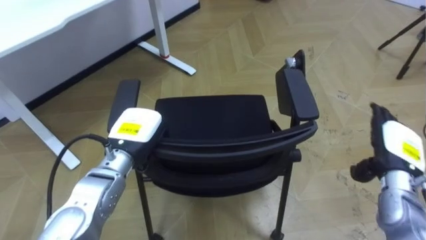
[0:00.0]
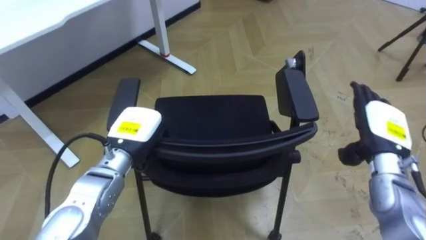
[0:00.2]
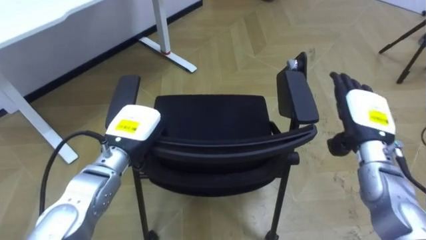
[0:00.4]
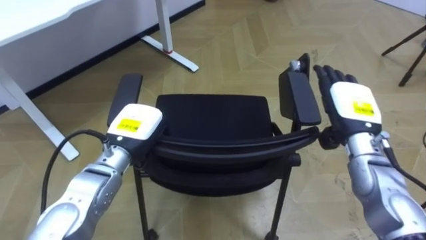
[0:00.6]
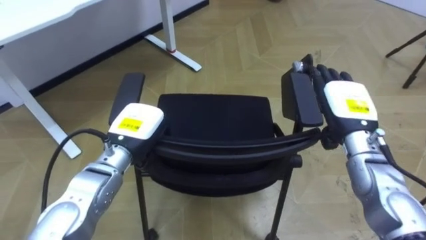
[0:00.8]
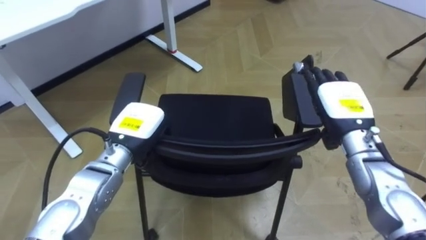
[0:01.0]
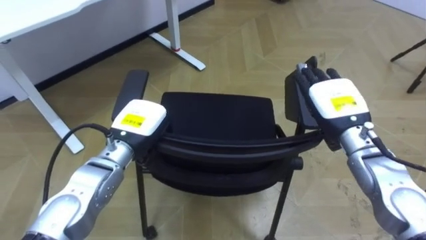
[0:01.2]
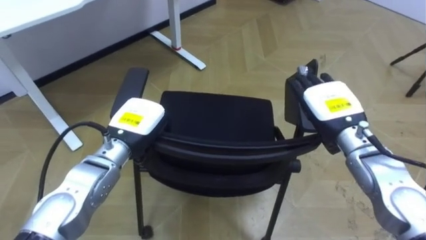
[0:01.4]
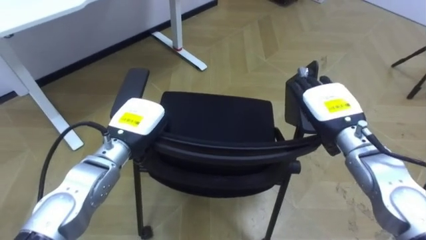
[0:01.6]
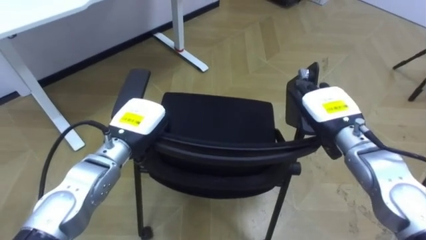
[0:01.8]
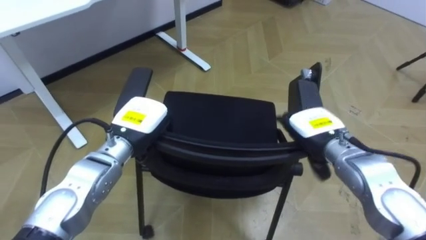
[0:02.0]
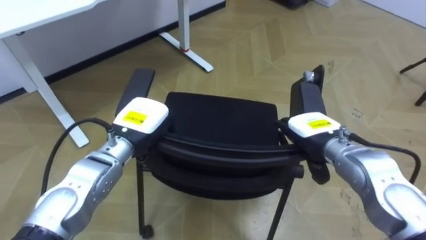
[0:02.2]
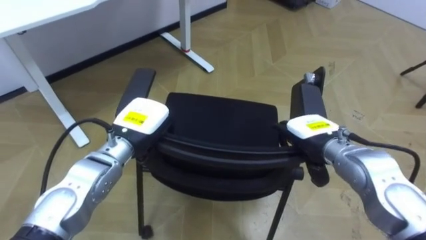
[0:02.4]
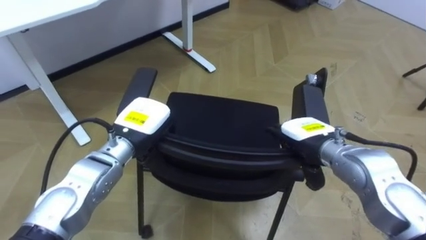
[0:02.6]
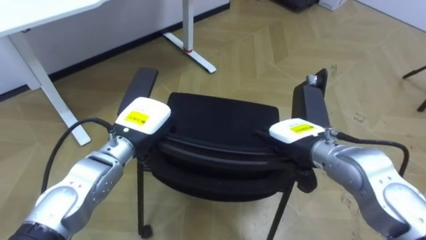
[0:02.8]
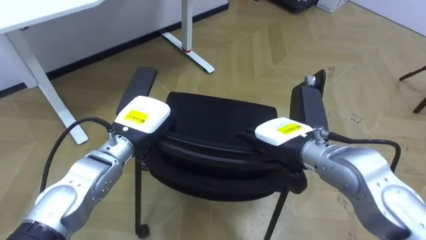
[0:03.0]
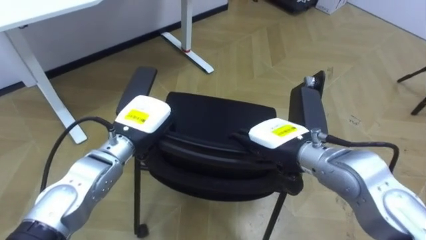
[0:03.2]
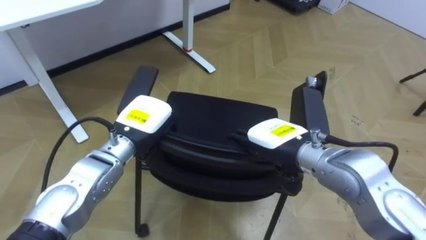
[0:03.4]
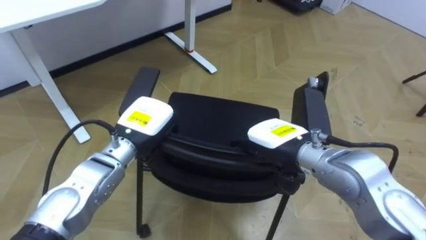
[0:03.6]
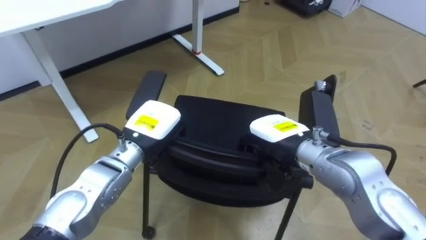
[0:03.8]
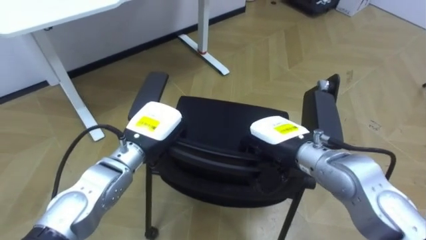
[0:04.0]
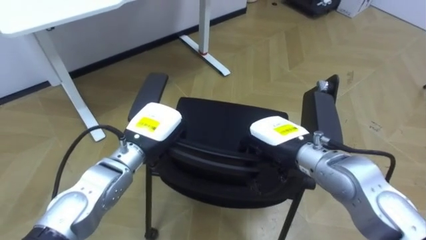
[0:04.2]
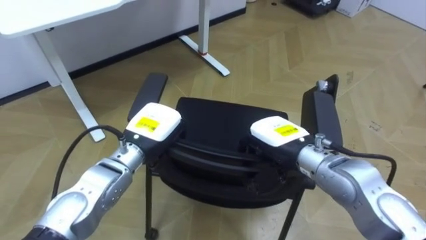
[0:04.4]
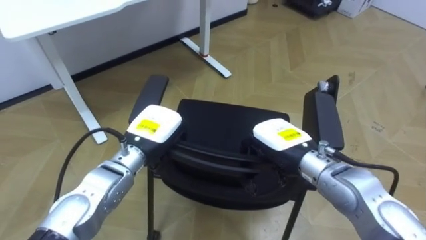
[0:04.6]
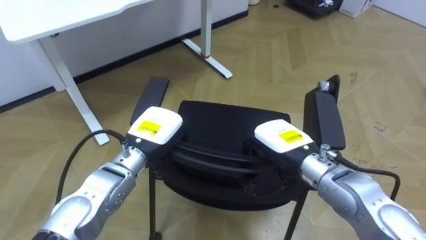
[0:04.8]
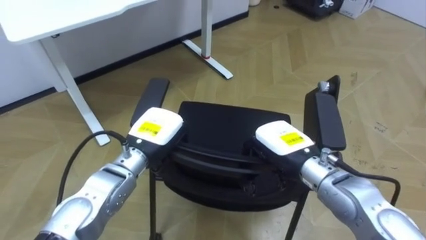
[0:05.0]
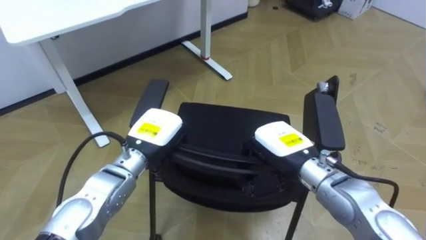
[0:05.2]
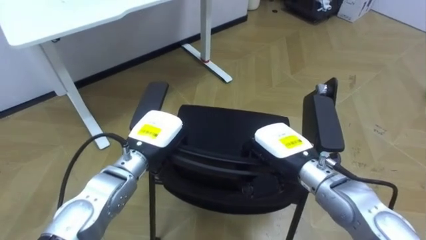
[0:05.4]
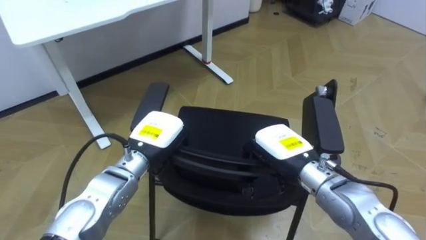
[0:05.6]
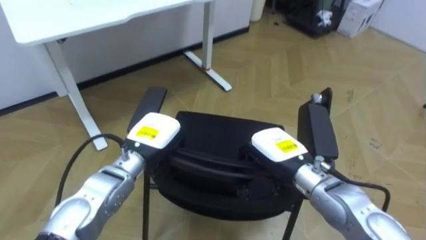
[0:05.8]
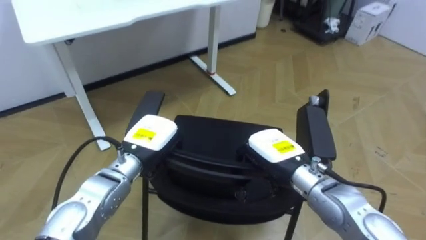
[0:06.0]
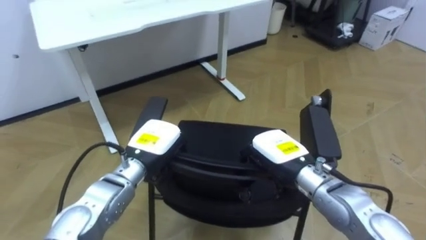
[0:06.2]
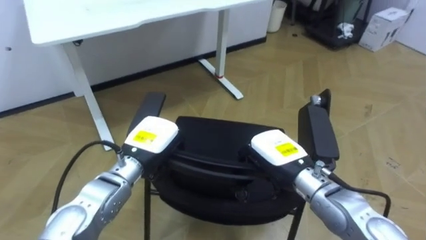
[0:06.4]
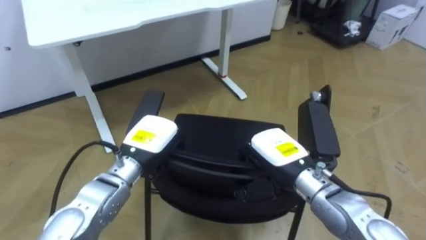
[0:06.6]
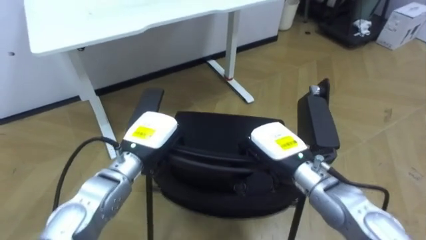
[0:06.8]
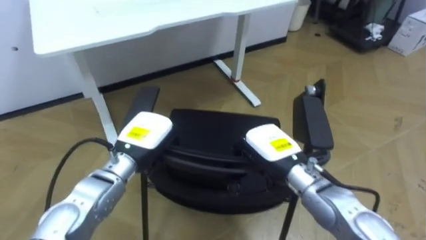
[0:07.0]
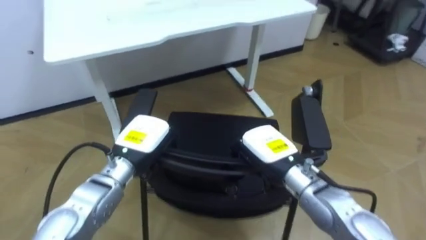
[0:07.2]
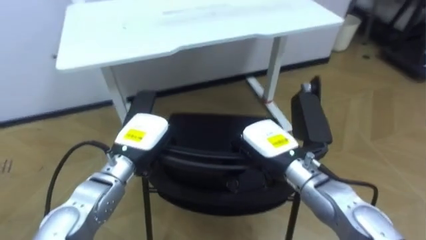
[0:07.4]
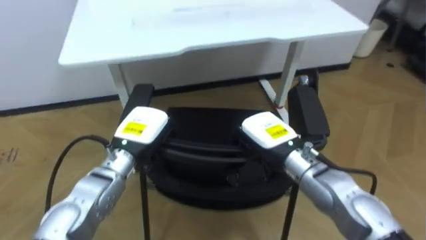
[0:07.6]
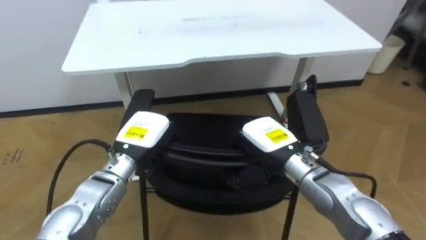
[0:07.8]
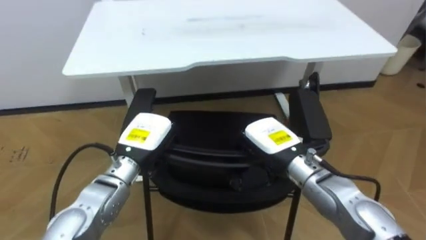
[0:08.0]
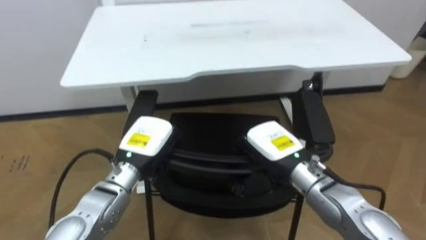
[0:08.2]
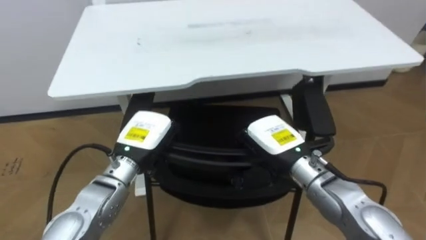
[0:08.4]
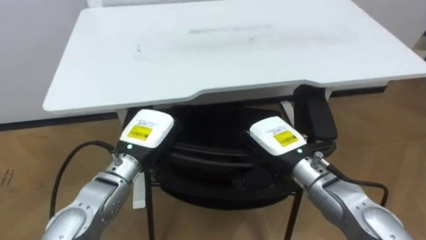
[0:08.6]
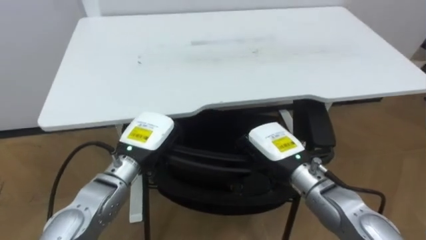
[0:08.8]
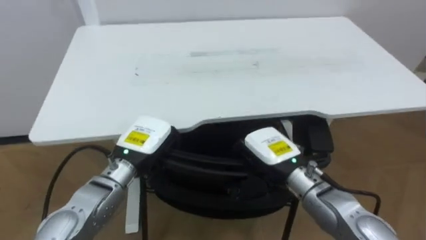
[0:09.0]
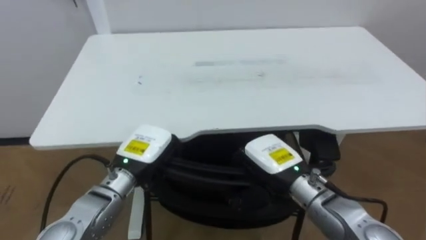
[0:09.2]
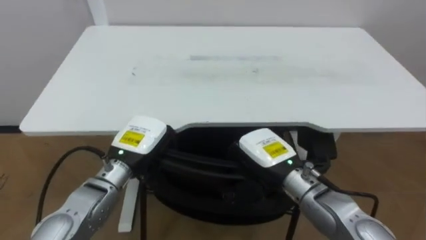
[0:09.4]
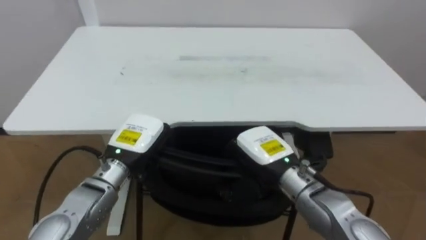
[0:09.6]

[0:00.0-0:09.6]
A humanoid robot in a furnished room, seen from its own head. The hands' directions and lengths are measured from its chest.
Task of the whole recording: Push the chair under the table.
0:00.0 to 0:01.6: The right hand moves to the left, upward and forward, roughly 15 cm.
0:01.6 to 0:03.2: The right hand goes approximately 10 cm to the left and backward.
0:03.2 to 0:04.8: The right hand closes.
0:06.4 to 0:08.0: The robot rotates roughly 25 degrees to its left.

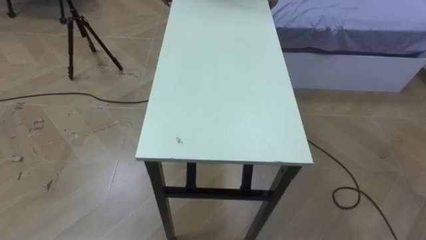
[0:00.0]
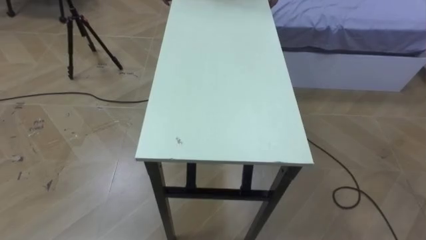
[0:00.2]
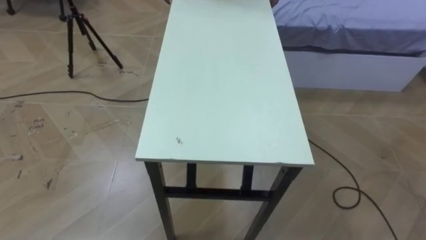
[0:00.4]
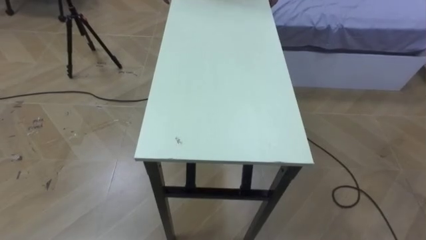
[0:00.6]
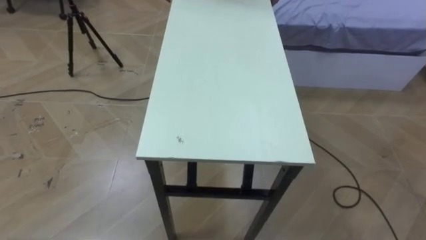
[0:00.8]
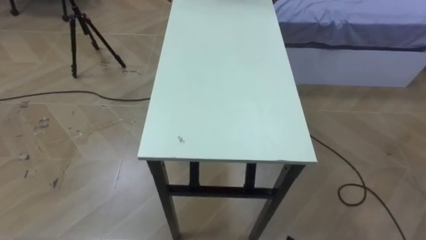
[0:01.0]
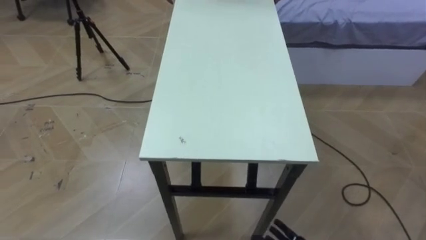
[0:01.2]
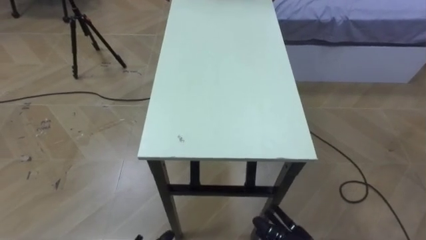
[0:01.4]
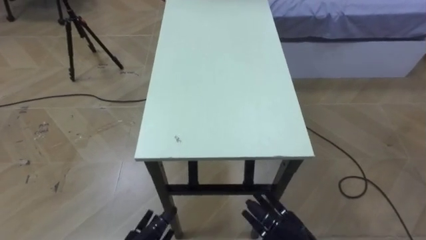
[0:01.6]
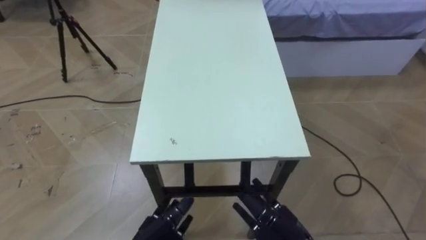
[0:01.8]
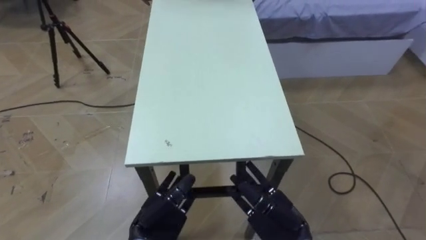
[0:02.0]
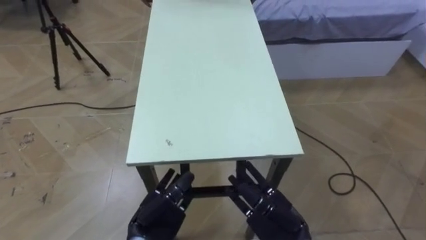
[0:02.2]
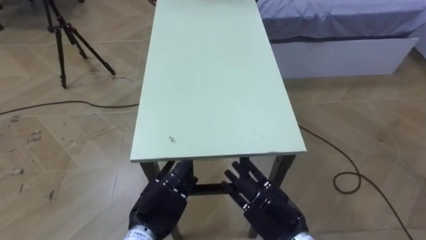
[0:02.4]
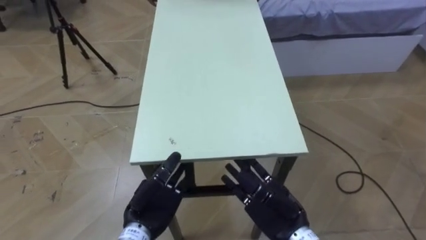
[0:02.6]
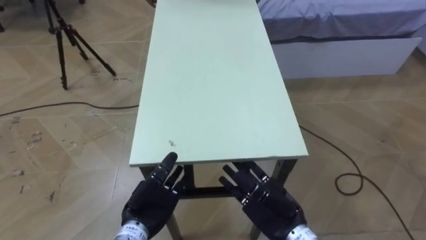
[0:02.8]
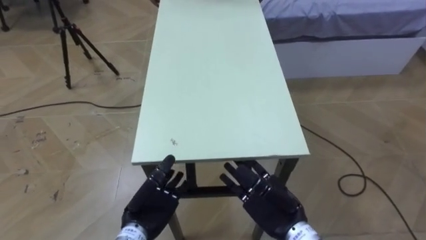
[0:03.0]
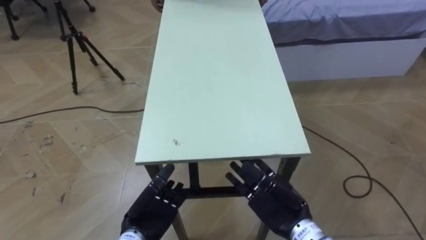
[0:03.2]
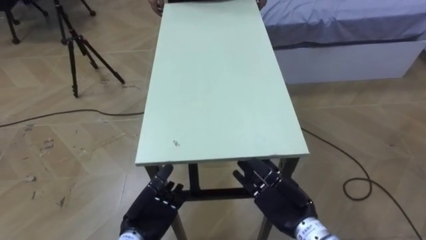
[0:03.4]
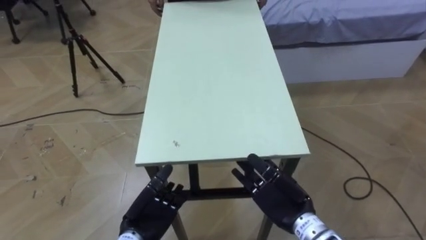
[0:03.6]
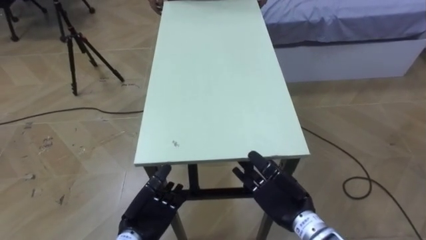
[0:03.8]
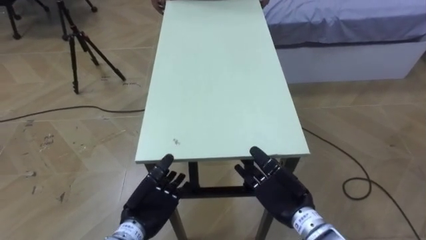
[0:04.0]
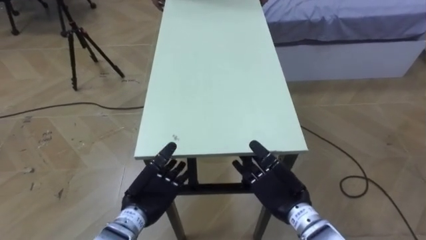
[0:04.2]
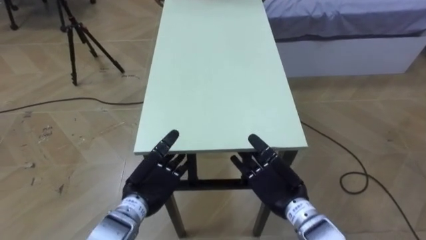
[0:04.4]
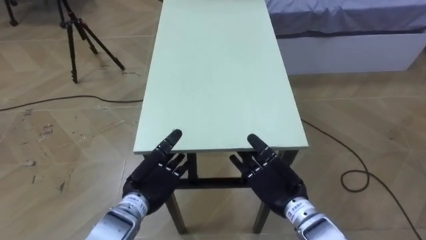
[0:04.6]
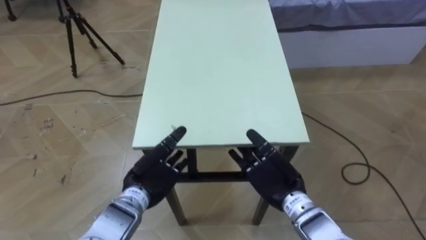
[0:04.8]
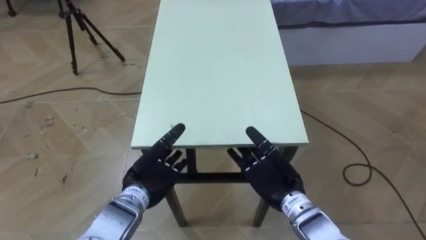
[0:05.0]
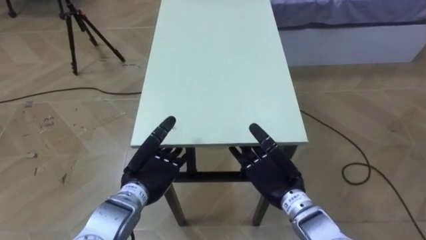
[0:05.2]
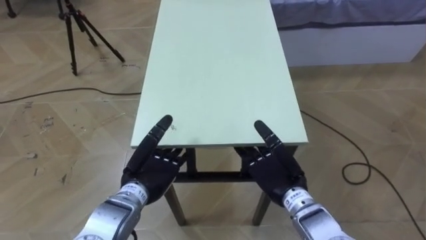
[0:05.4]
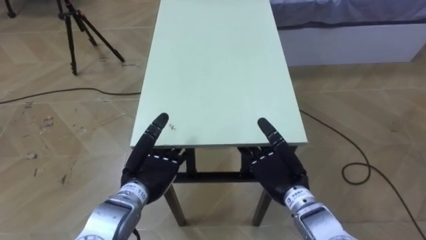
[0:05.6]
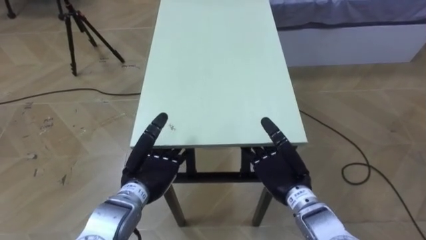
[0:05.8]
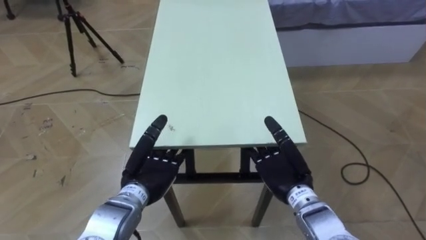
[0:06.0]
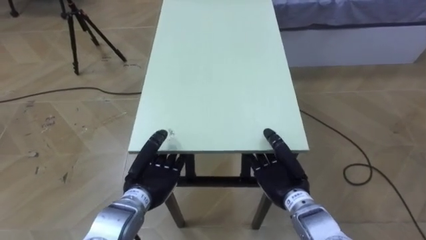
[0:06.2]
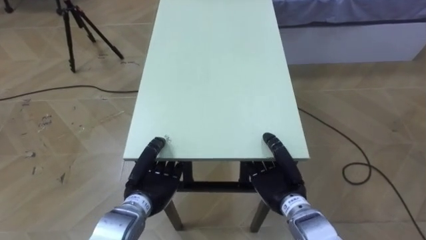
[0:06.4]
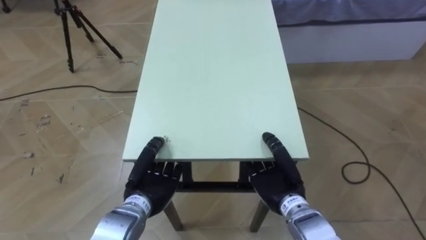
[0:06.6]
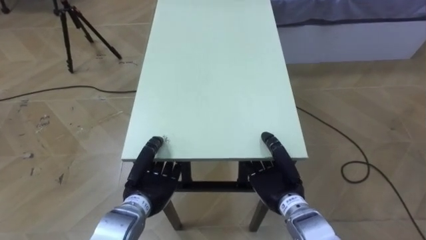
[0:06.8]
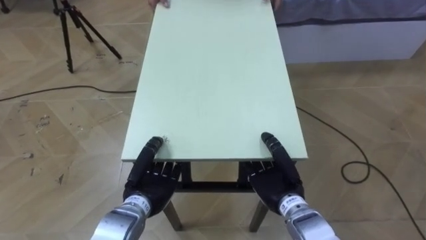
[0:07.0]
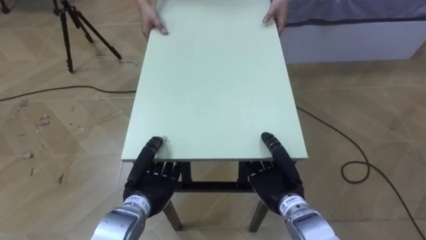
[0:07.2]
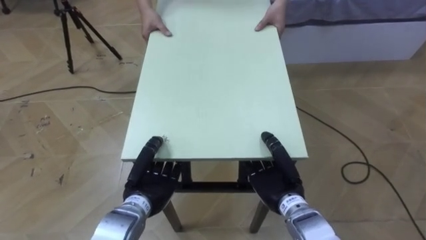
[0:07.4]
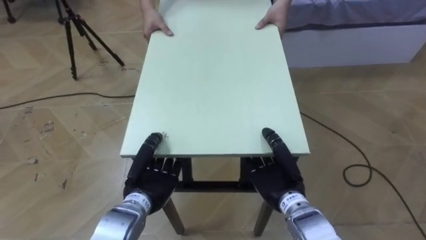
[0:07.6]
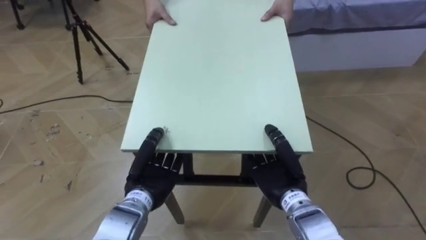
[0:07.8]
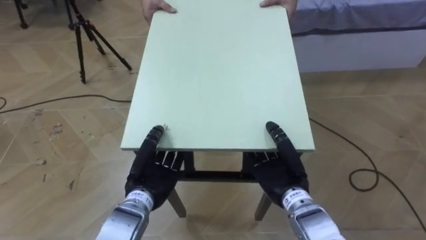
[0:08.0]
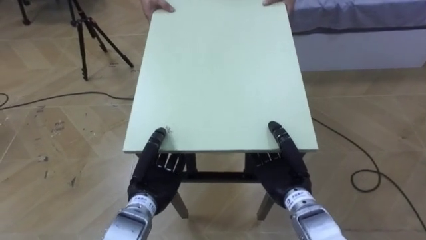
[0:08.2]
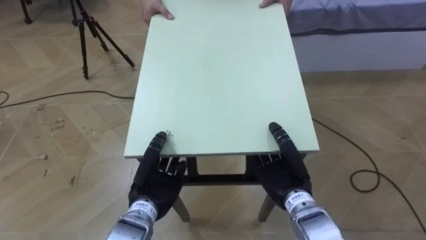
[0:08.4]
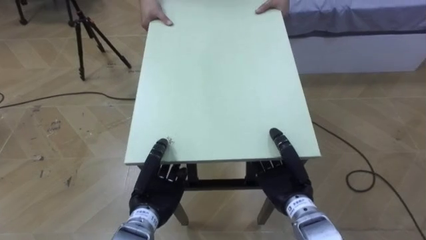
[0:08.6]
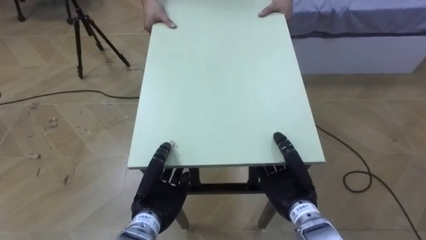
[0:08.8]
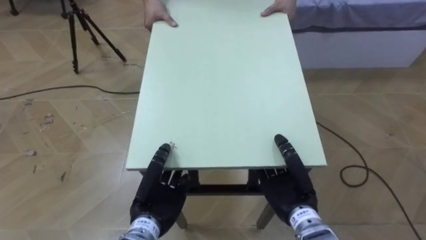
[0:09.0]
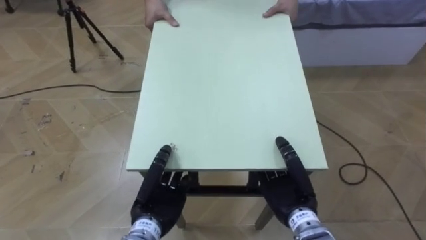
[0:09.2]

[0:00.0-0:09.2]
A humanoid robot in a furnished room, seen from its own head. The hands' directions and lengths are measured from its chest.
Task of the whole recording: Move the table to the back left with someone.
0:01.6 to 0:03.0: The right hand shifts approximately 10 cm upward and forward.
0:03.0 to 0:04.6: The left hand ends up about 5 cm from where it was.
0:04.6 to 0:06.2: The right hand closes, while the left hand closes.
0:06.2 to 0:07.6: The hands make only small movements.
